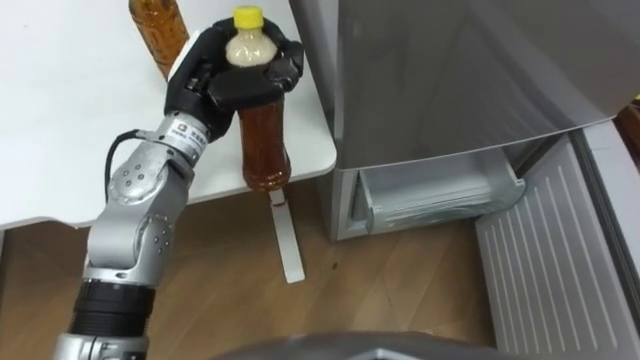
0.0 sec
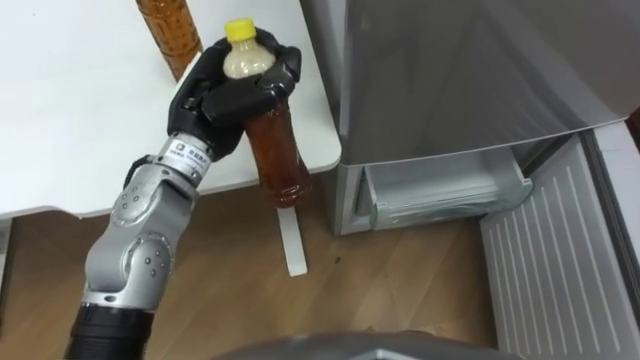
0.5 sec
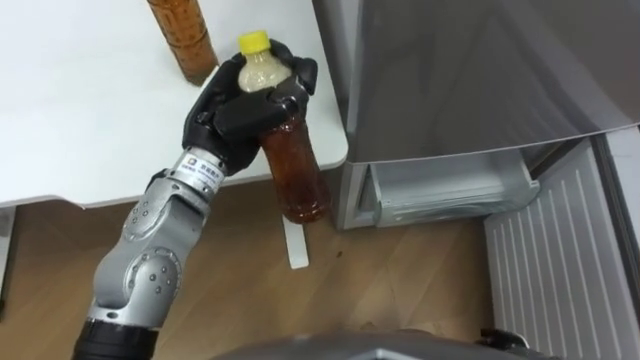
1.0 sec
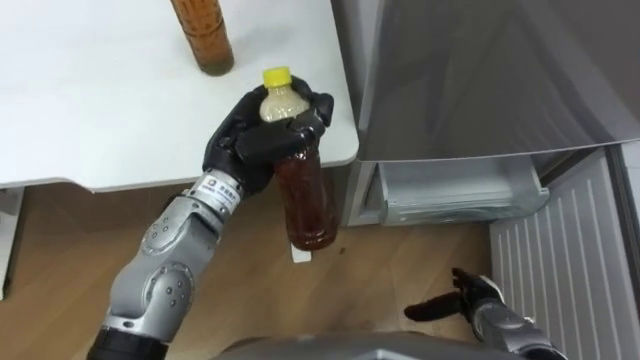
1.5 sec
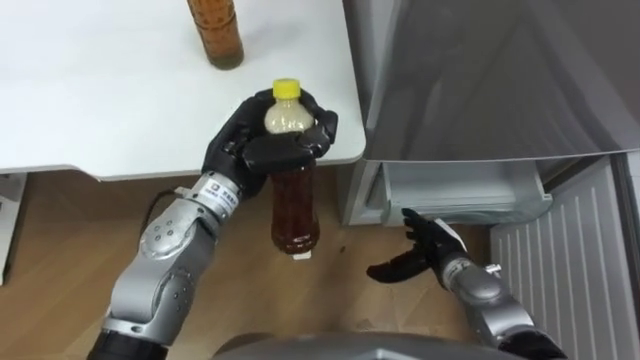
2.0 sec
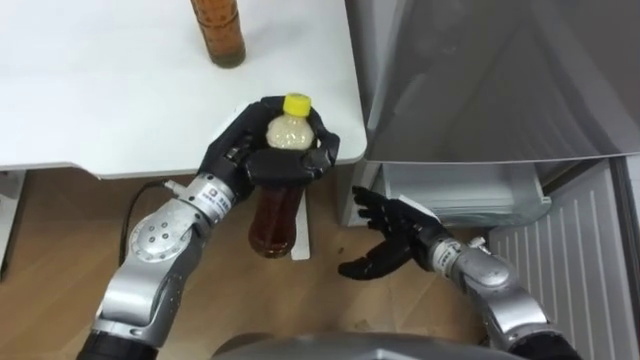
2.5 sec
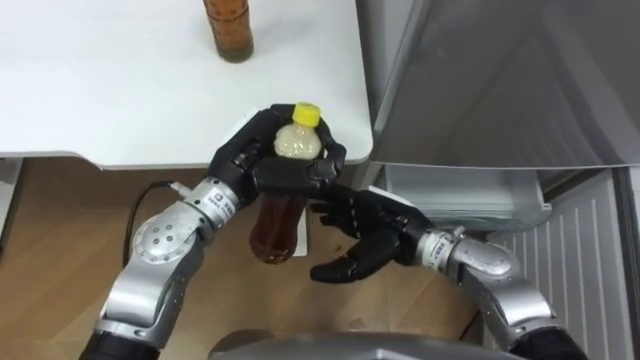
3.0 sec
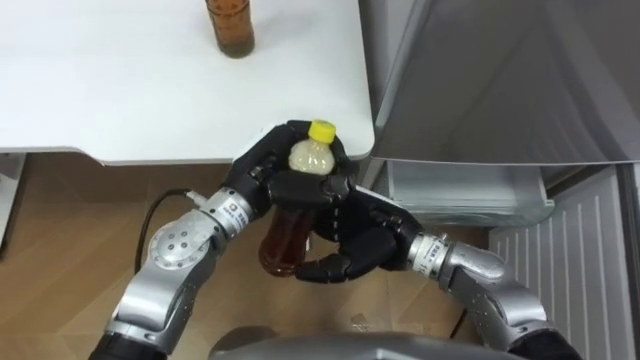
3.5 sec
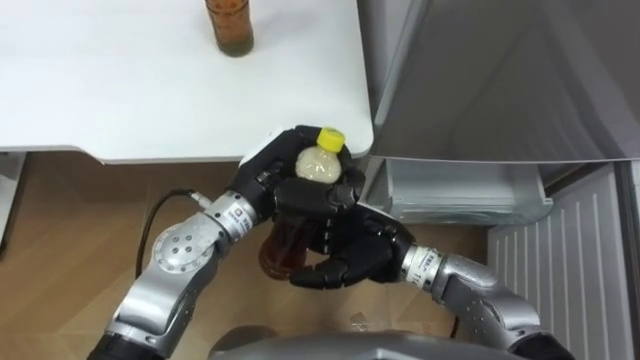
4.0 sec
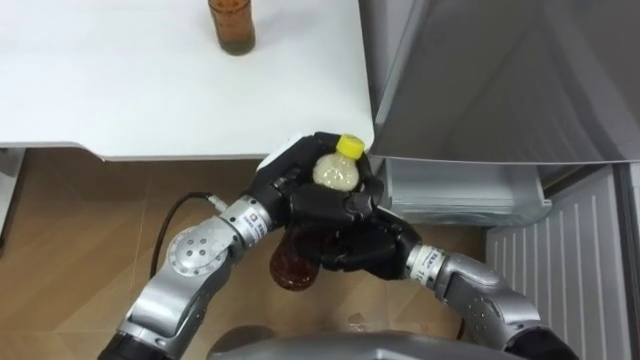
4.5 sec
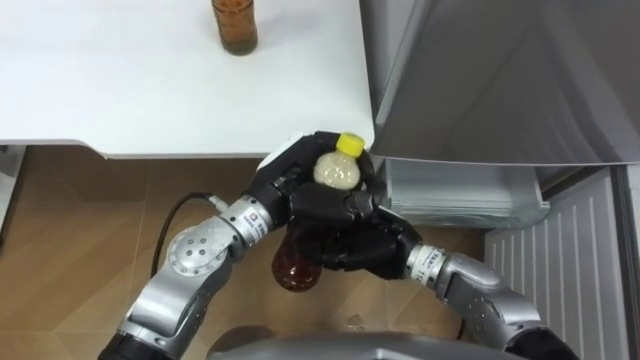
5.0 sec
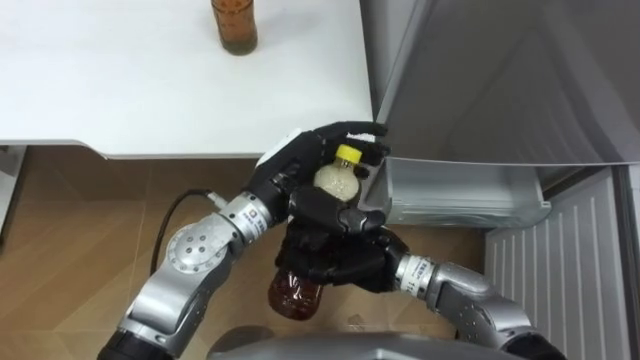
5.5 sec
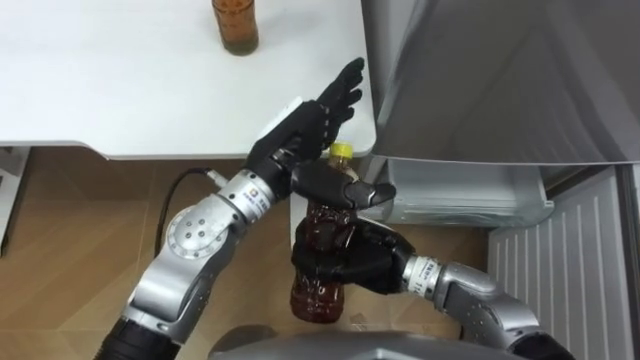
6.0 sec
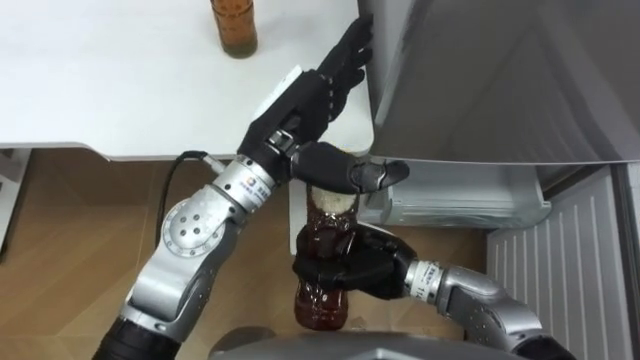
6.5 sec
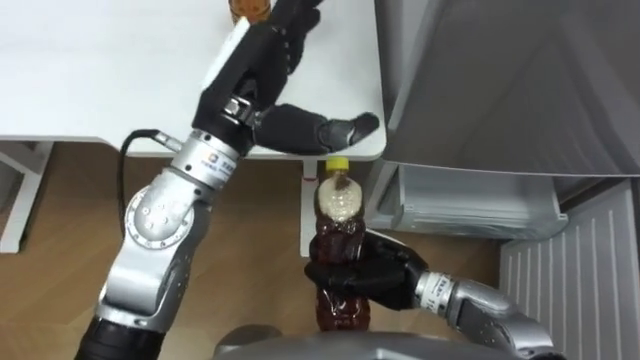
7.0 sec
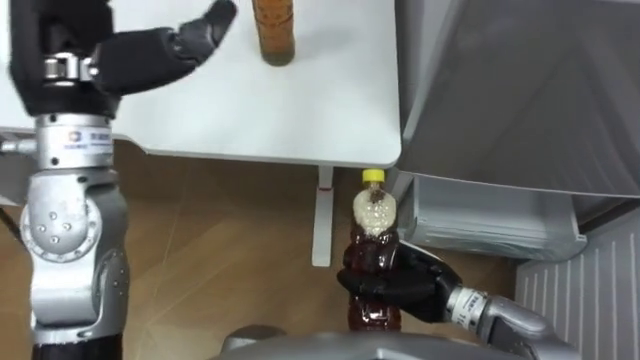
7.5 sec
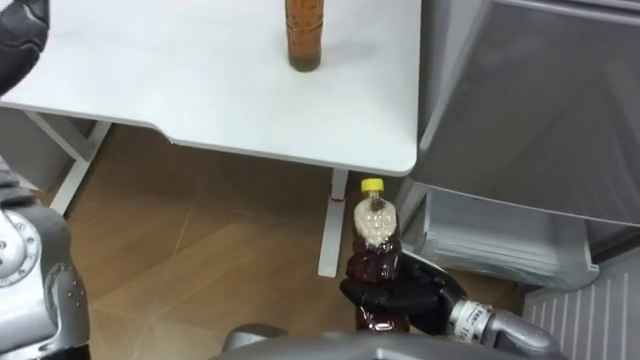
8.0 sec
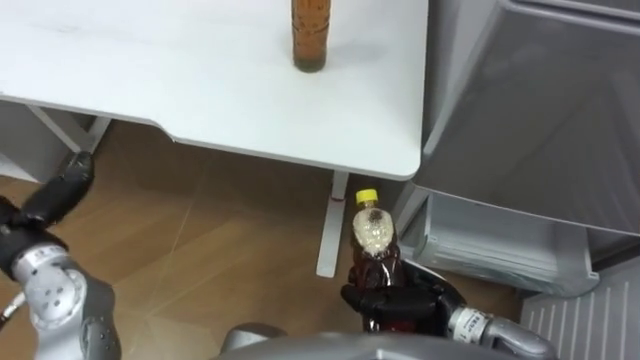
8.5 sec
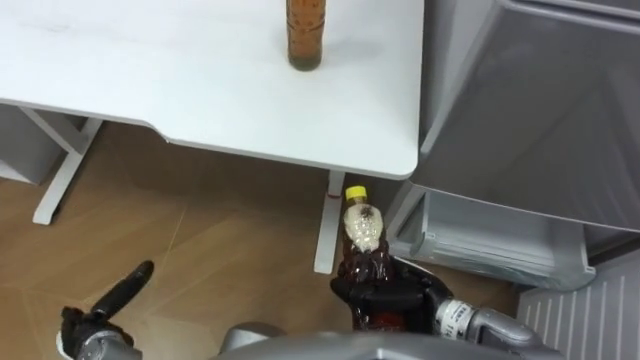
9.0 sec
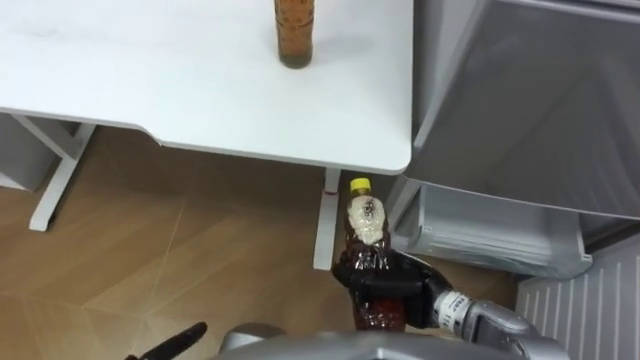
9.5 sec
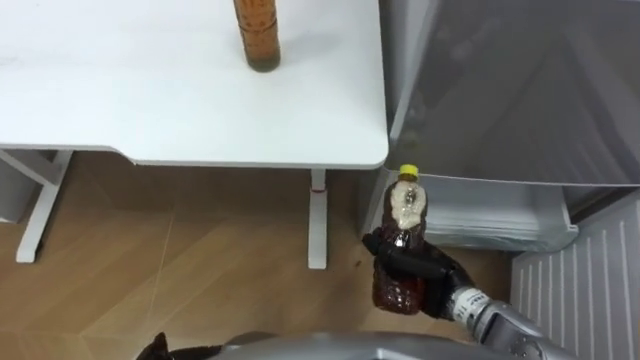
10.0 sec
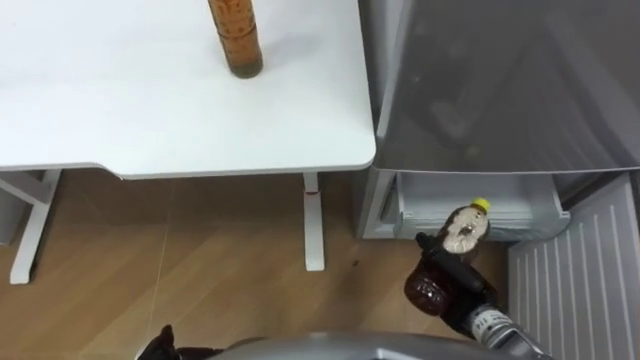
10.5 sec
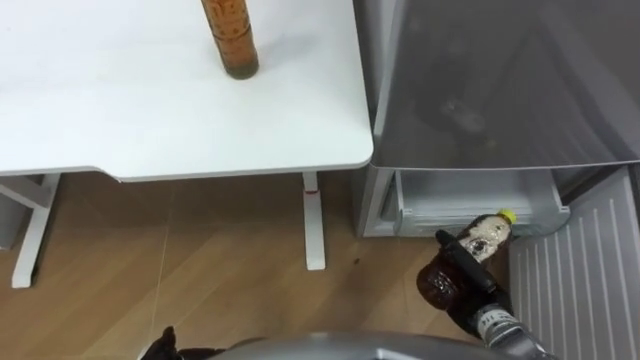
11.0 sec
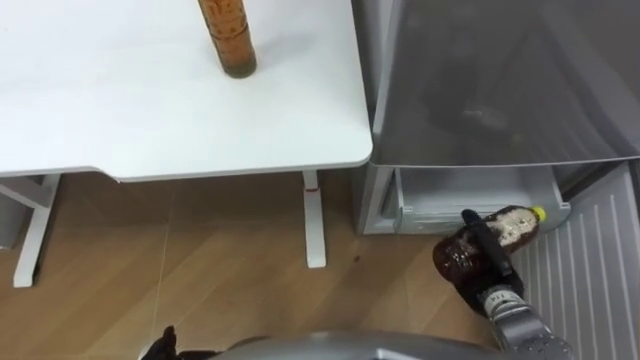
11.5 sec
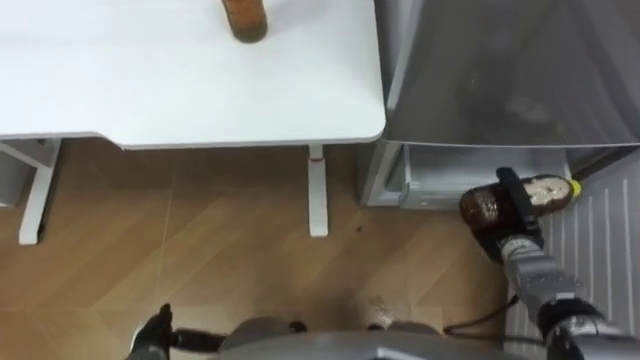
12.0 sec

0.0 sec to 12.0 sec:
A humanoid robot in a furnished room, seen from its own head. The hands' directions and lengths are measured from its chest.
Task of the whole recording: Place the drink on the table on the bottom shelf of the refrigerator, then close the drawer and the refrigerator door.
0.0 sec to 2.0 sec: The left hand ends up roughly 10 cm from where it was.
2.0 sec to 4.0 sec: The right hand shifts about 15 cm to the left and upward.
4.0 sec to 6.0 sec: The left hand opens, while the right hand closes its fingers.
6.0 sec to 8.0 sec: The right hand shifts approximately 5 cm to the right.
10.0 sec to 12.0 sec: The right hand shifts roughly 15 cm to the right.

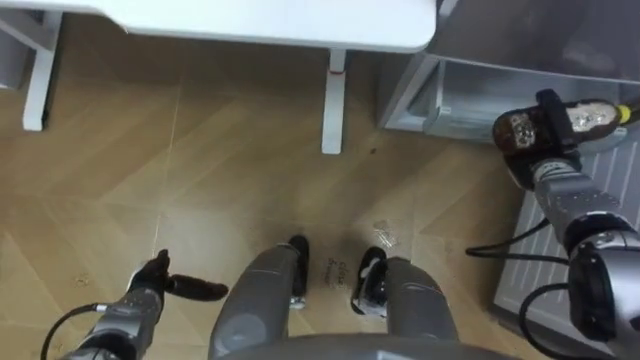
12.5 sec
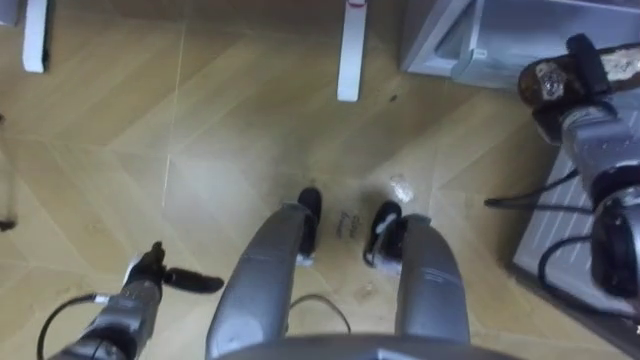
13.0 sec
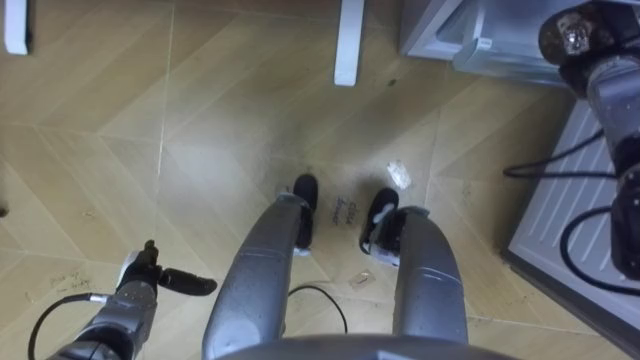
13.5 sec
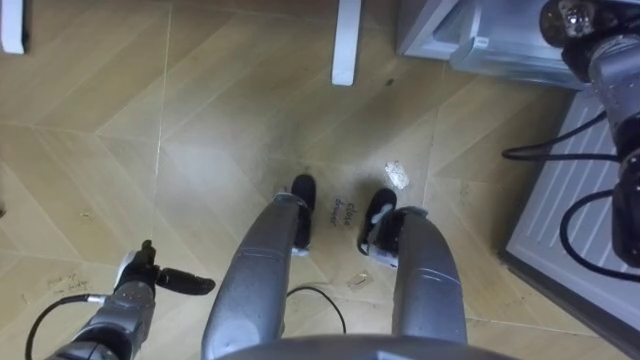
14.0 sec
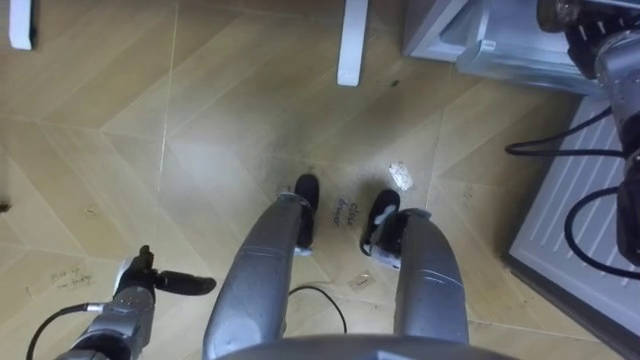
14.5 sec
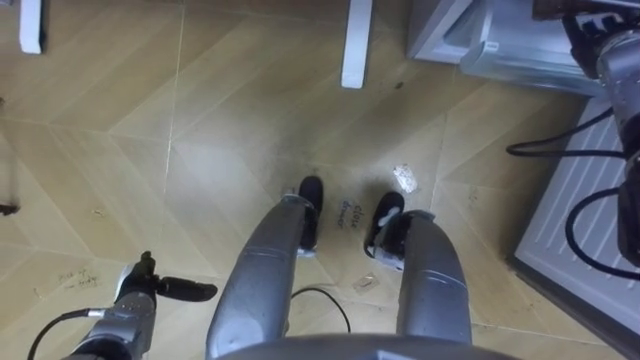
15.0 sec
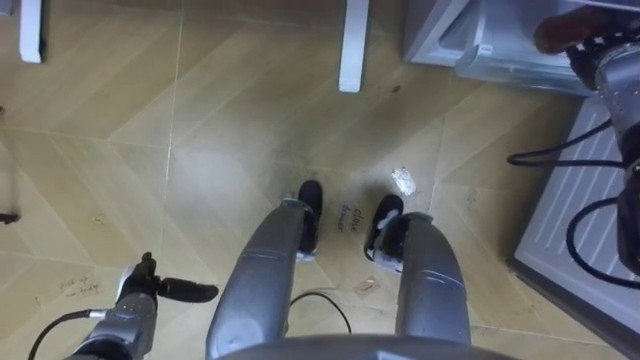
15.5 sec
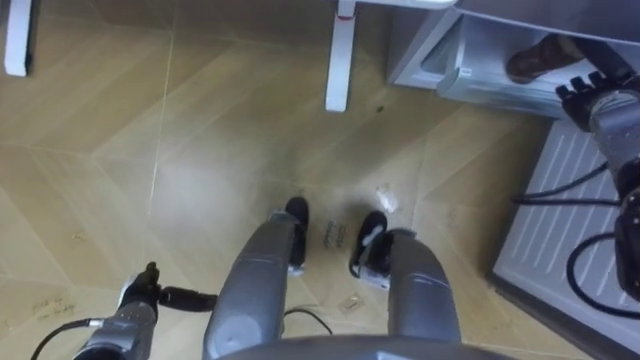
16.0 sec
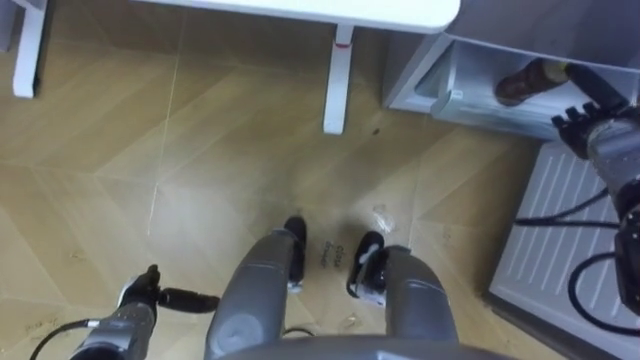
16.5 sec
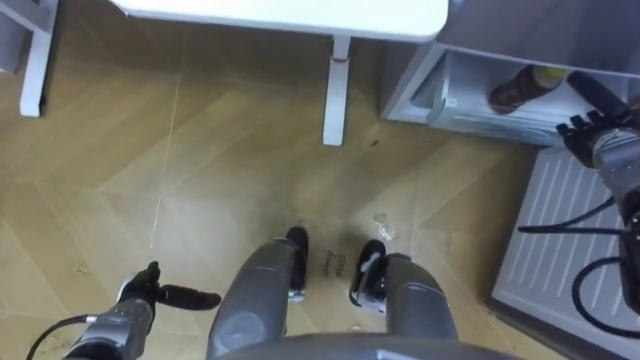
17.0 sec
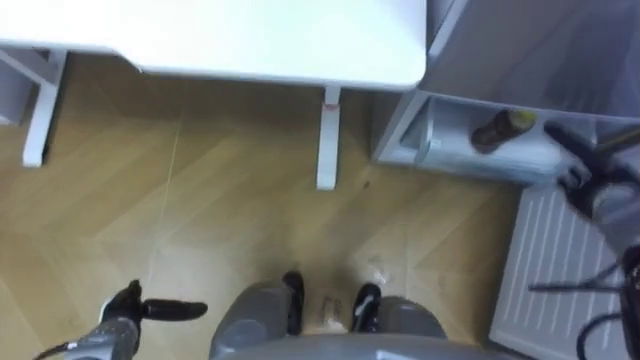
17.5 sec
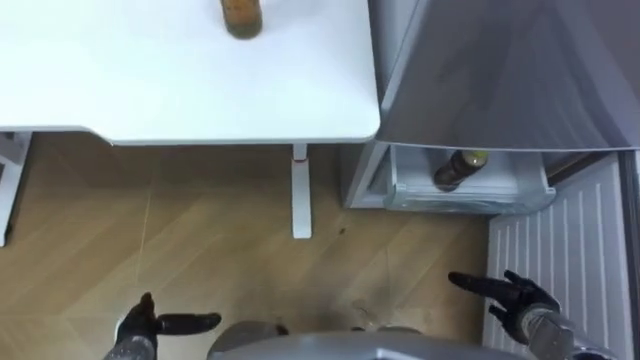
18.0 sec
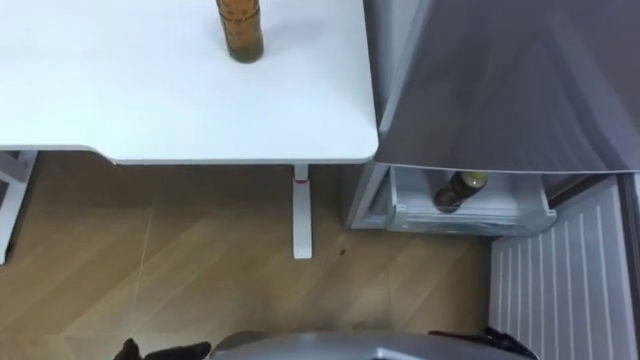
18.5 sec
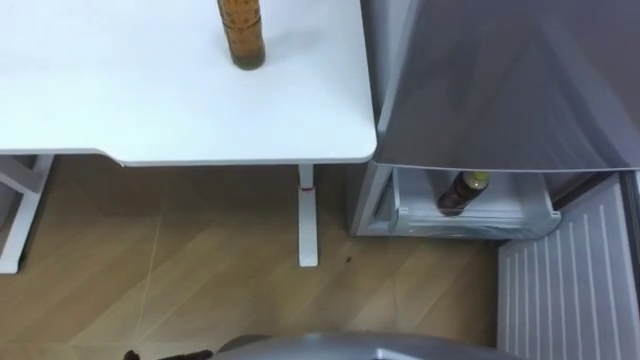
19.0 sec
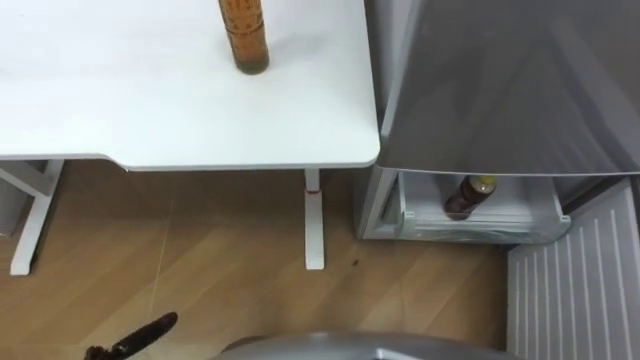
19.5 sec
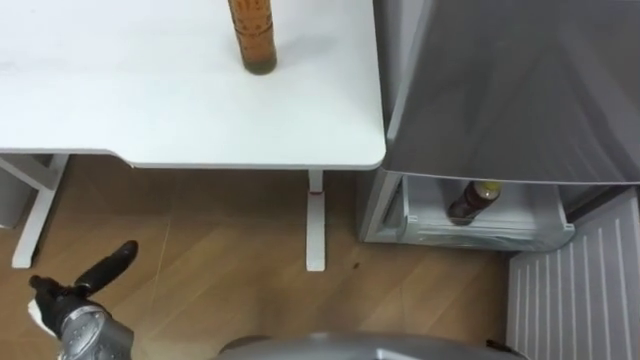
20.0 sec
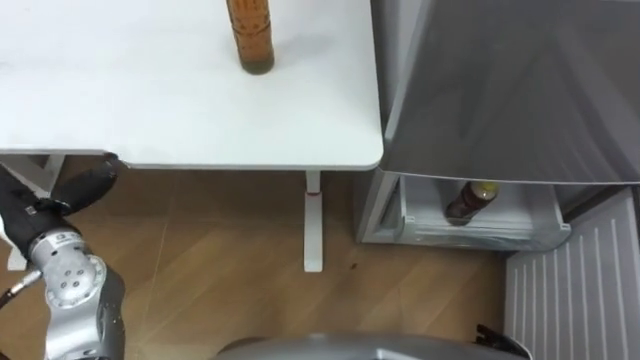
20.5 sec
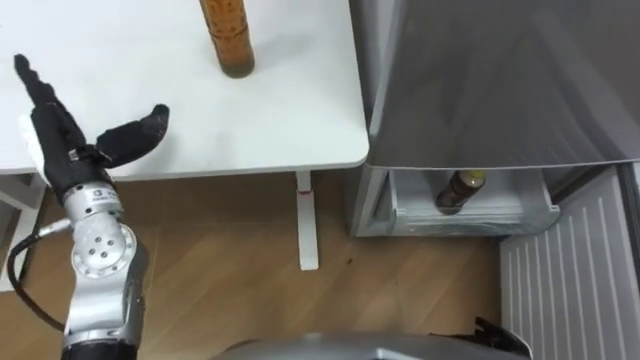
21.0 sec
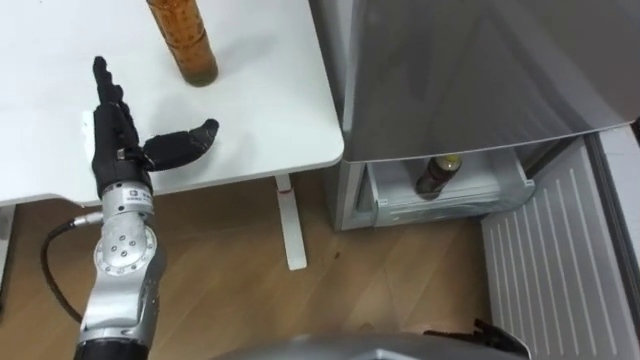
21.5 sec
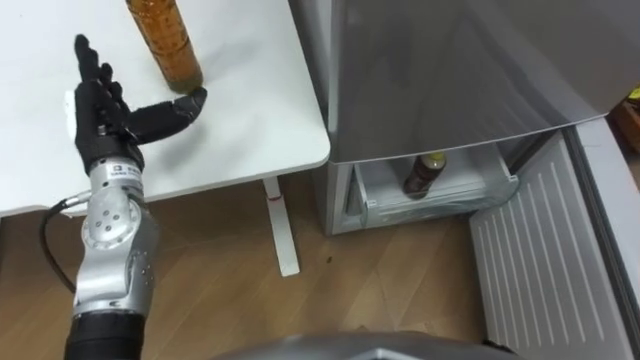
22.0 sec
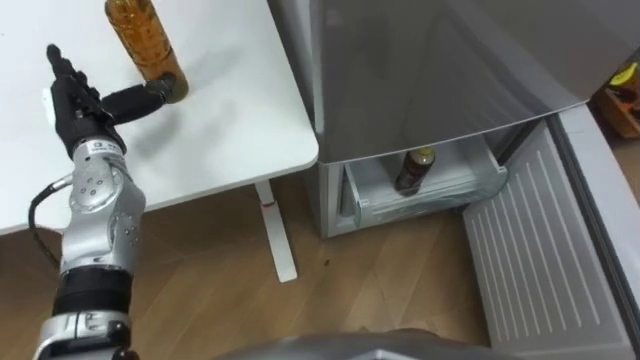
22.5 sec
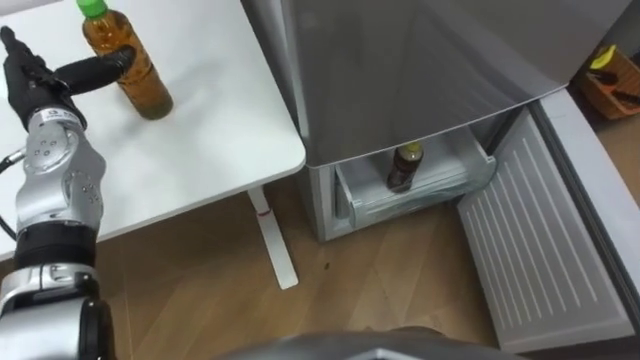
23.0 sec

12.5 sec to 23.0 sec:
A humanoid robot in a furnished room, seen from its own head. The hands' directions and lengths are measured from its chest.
Task of the whole recording: Place the drink on the table on the bottom shelf of the refrigerator, then close the drawer and the refrigerator door.
12.5 sec to 14.5 sec: The right hand is displaced upward and forward by about 20 cm.
14.5 sec to 16.5 sec: The right hand is displaced downward and backward by some 10 cm, and opens its fingers.
21.0 sec to 23.0 sec: The left hand moves forward, roughly 10 cm.
